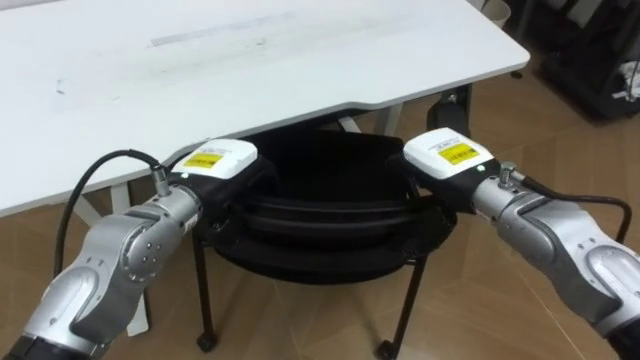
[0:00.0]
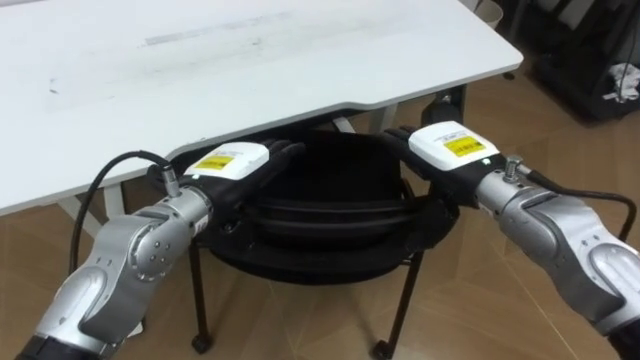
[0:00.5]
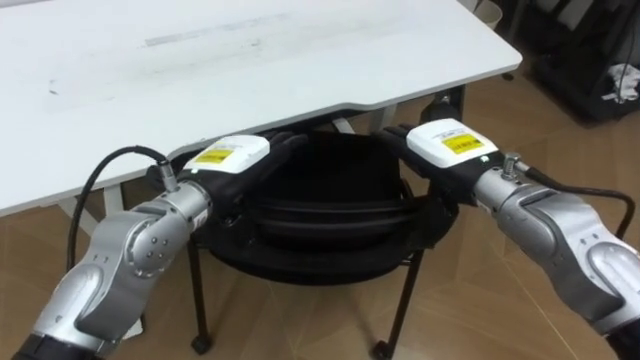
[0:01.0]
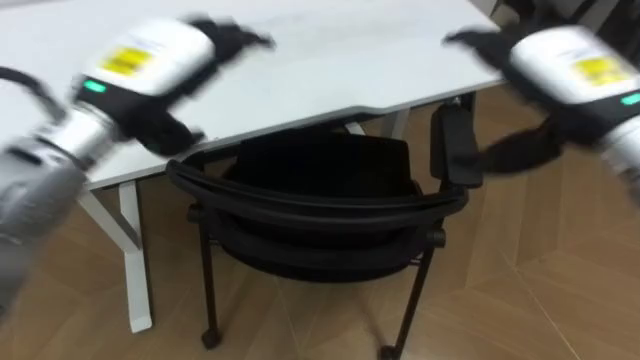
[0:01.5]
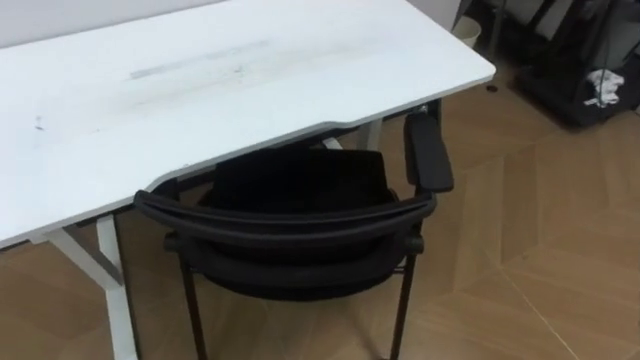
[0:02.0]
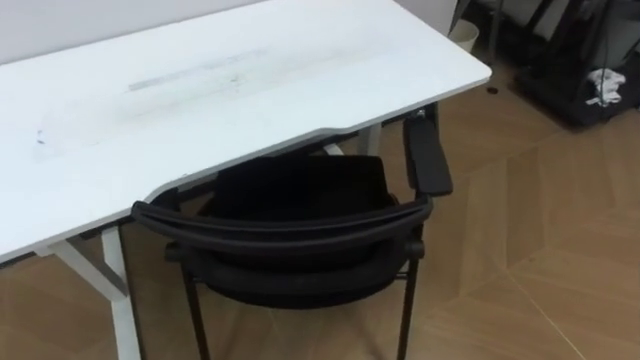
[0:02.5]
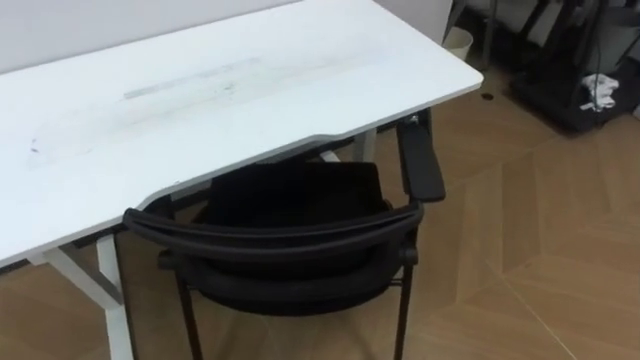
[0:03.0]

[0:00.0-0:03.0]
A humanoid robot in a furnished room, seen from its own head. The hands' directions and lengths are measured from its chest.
Task of the whole recording: Push the chair under the table.
0:00.0 to 0:01.5: The left hand travels upward by some 15 cm, and opens up, while the right hand travels upward and to the right by approximately 15 cm, and opens its fingers.

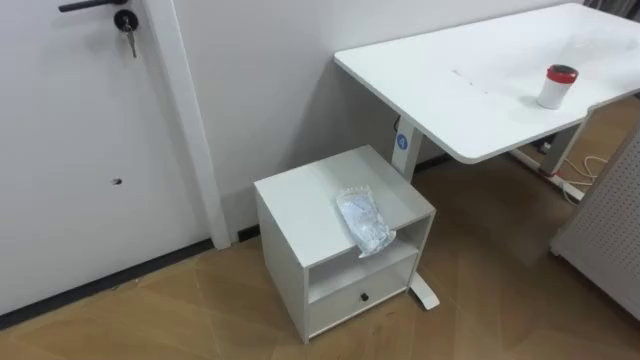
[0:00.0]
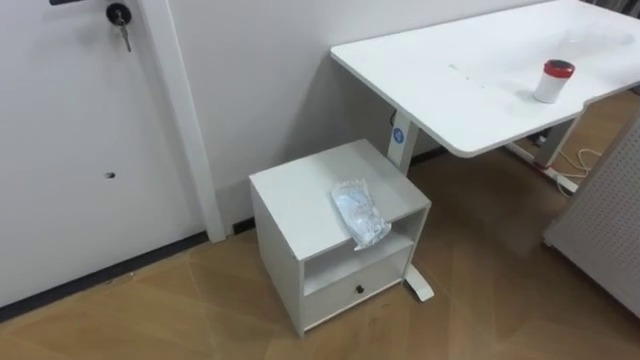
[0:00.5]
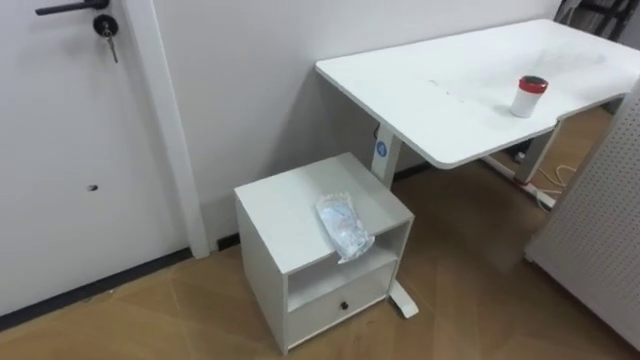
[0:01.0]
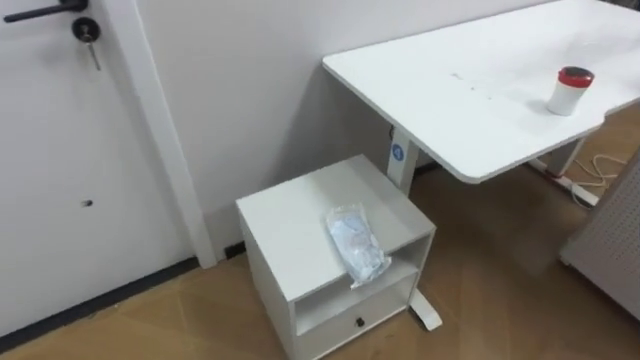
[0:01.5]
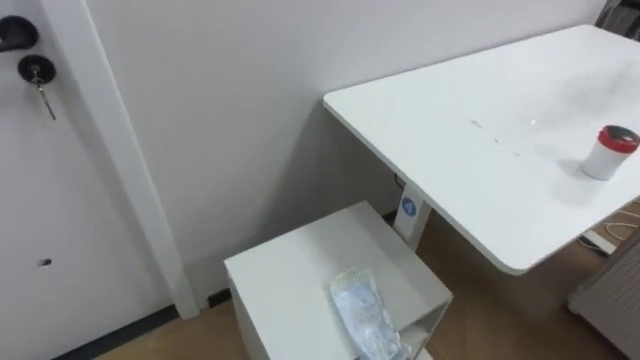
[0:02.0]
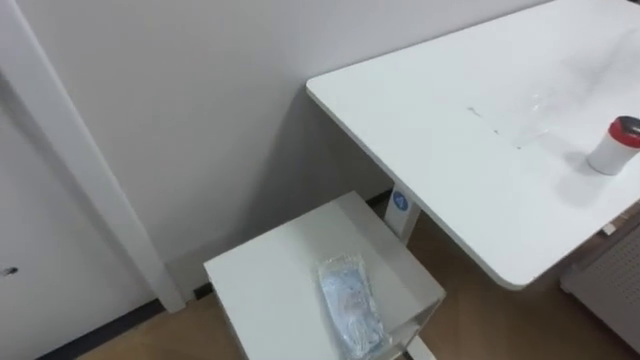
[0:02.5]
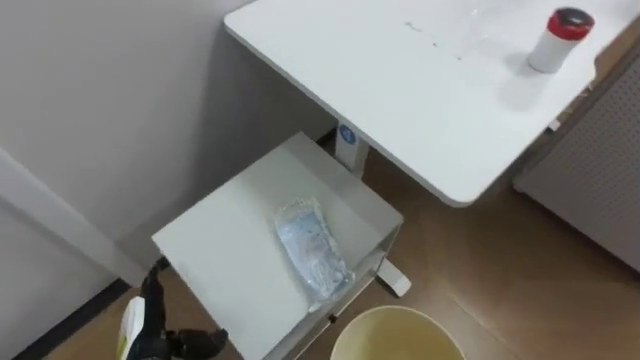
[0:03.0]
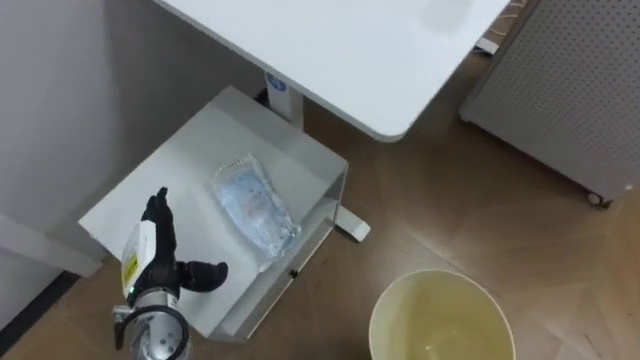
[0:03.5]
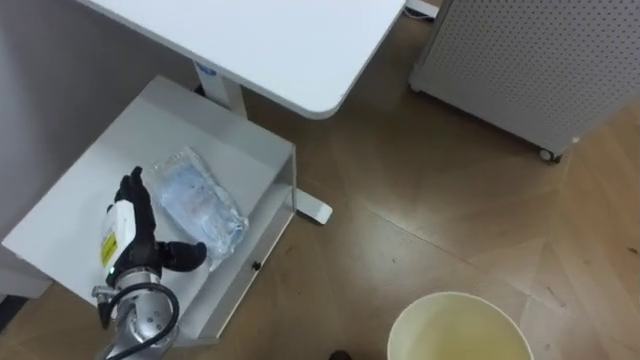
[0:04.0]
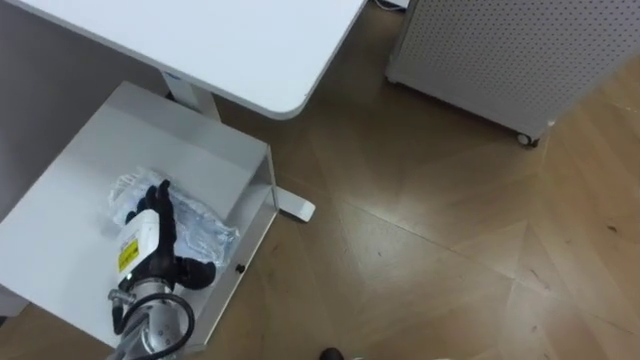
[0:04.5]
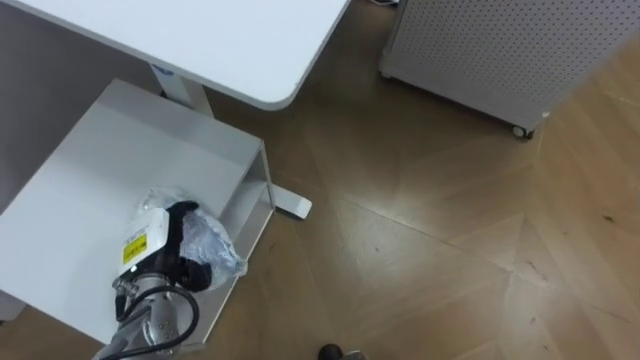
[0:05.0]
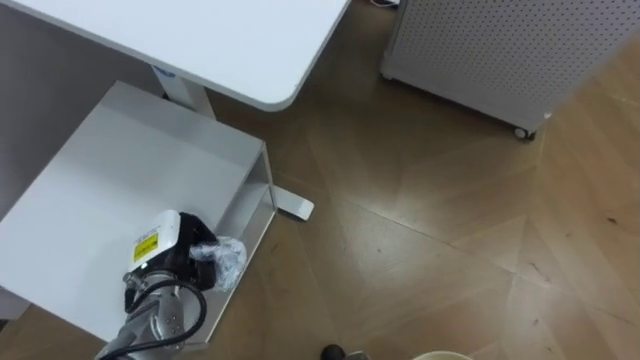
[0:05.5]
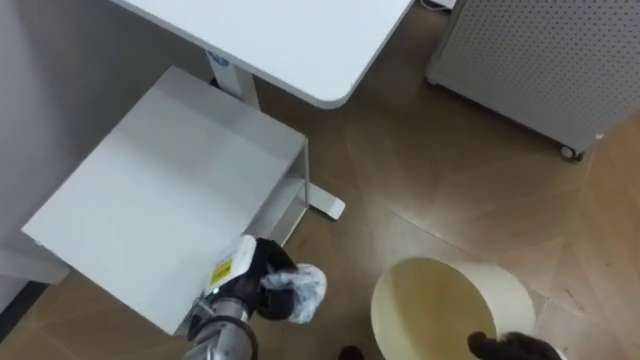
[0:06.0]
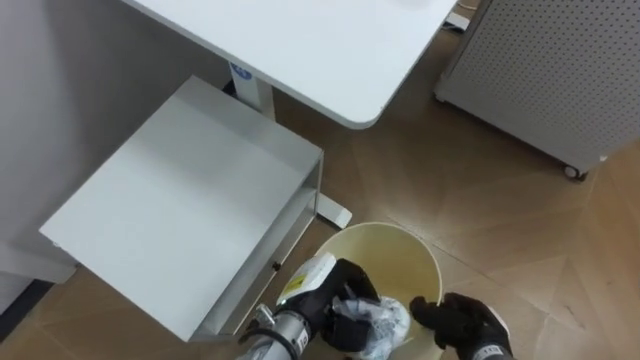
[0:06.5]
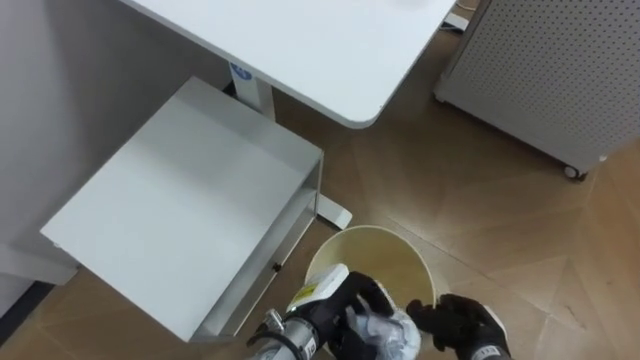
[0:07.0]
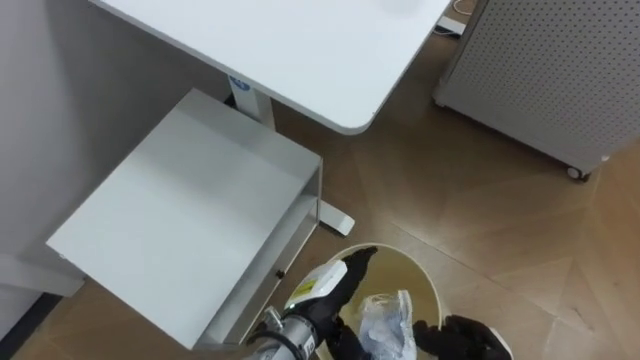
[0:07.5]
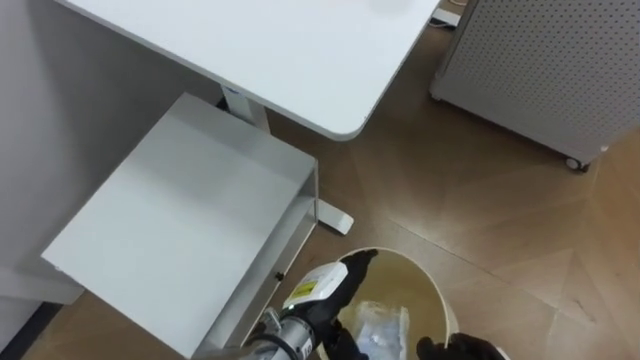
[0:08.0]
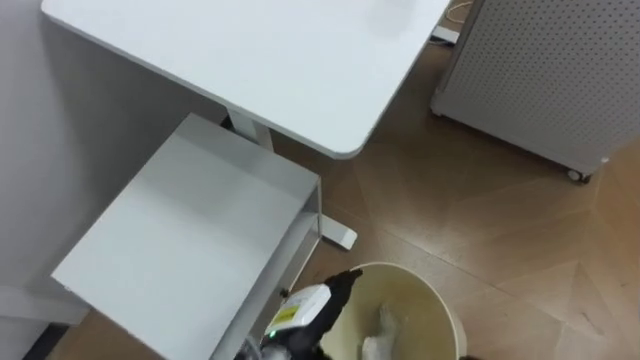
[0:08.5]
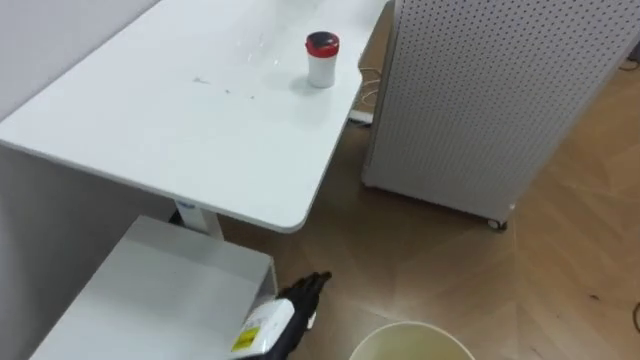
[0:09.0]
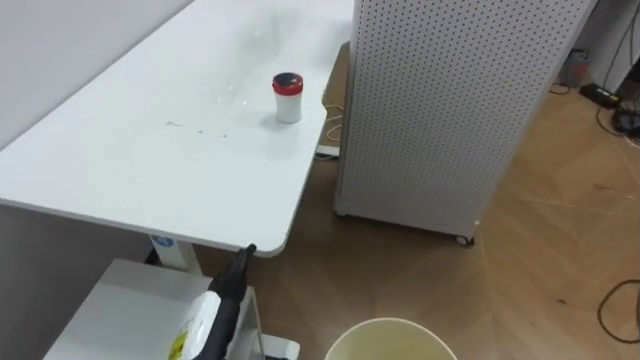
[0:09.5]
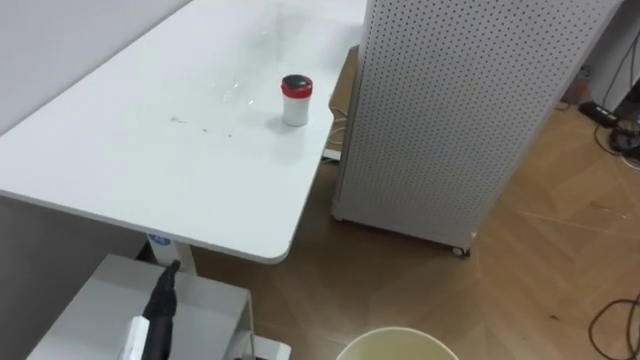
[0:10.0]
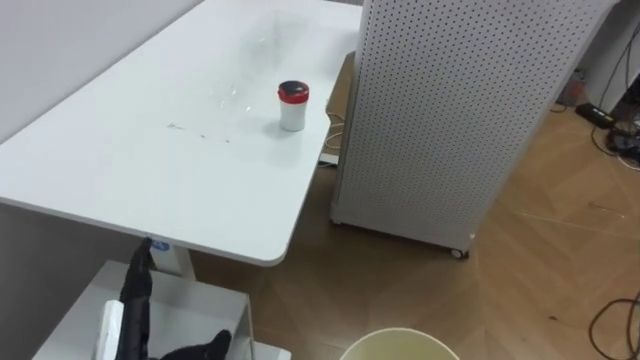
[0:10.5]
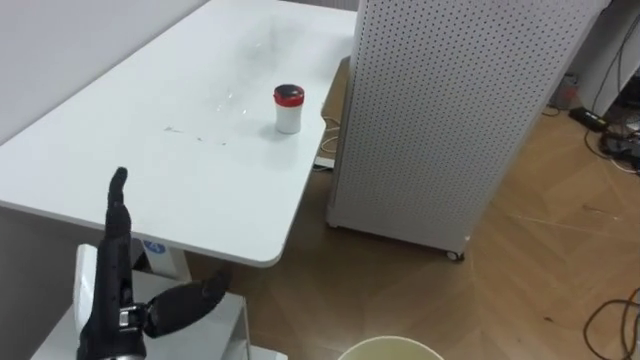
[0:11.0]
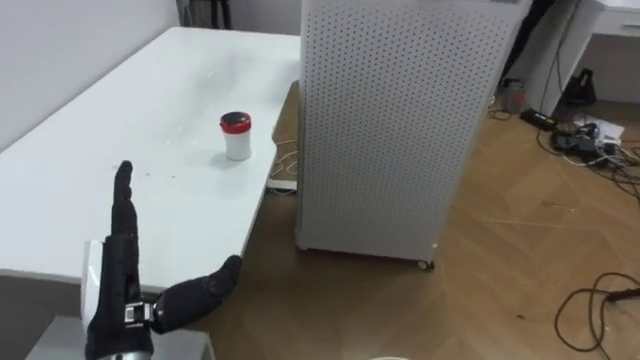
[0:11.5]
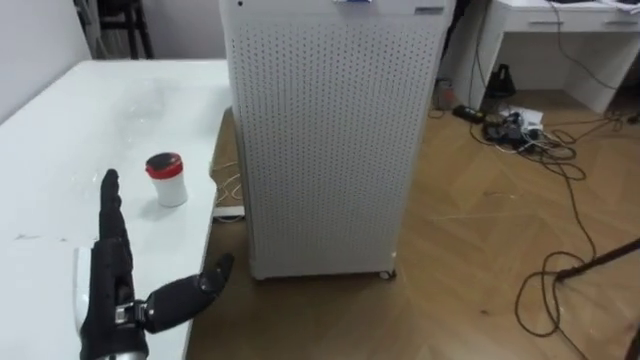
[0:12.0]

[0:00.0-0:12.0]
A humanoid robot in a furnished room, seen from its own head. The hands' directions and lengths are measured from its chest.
Task of the whole recording: Pick up the light blue package, the candy box, and the dark blue package separately, and put them into the trash can held in your right hand.
0:04.0 to 0:06.0: The left hand heads to the right, covering some 15 cm, and closes up.
0:06.0 to 0:08.0: The left hand moves to the right, roughly 10 cm, and opens.
0:10.0 to 0:12.0: The robot faces some 20 degrees further to its right.

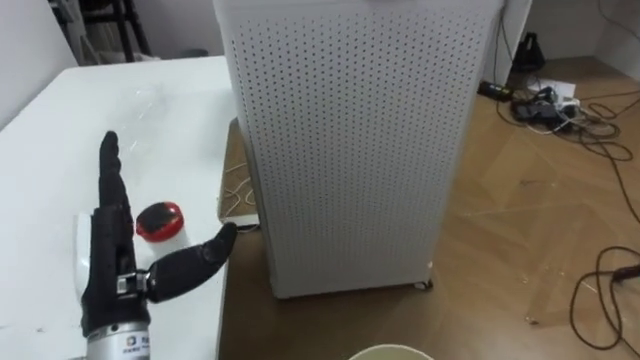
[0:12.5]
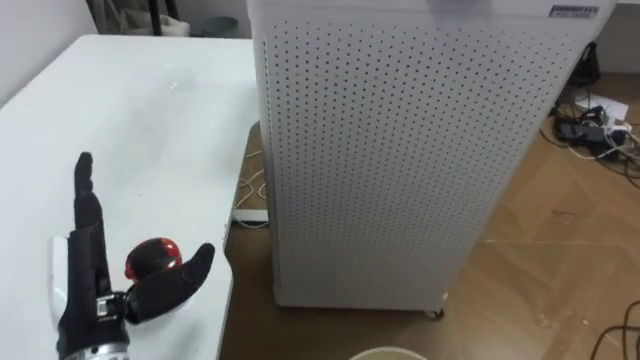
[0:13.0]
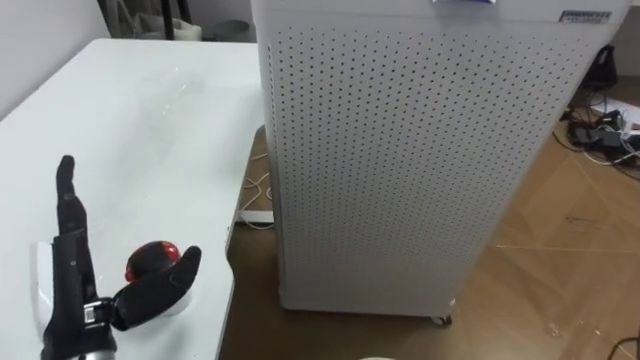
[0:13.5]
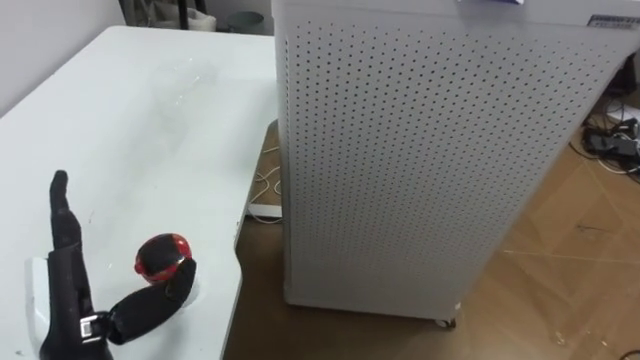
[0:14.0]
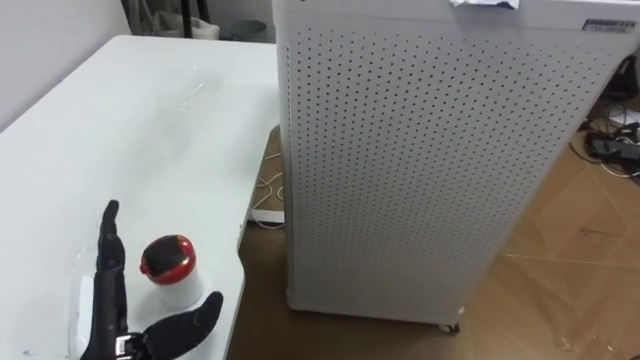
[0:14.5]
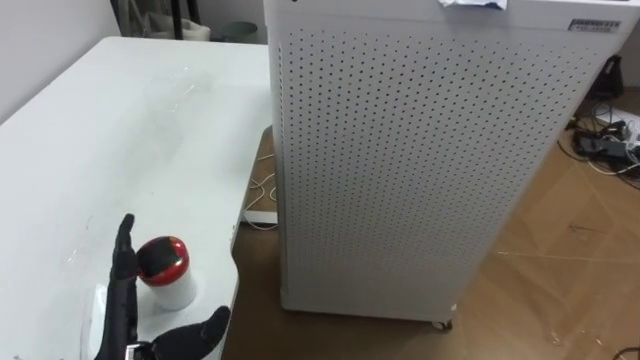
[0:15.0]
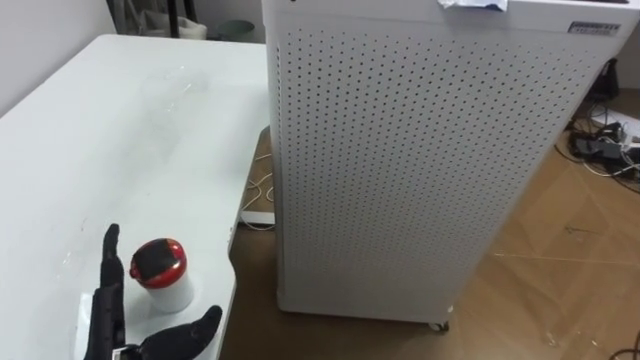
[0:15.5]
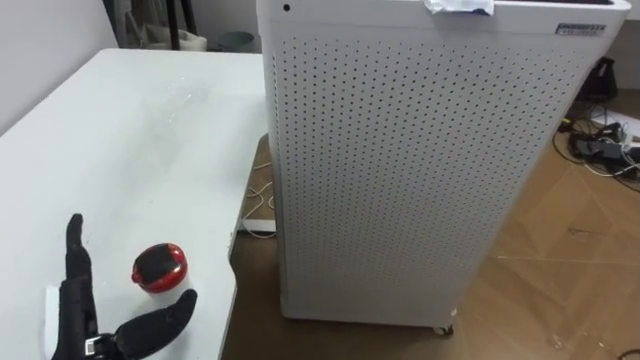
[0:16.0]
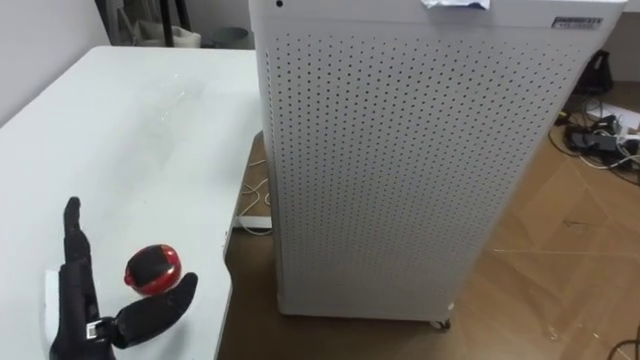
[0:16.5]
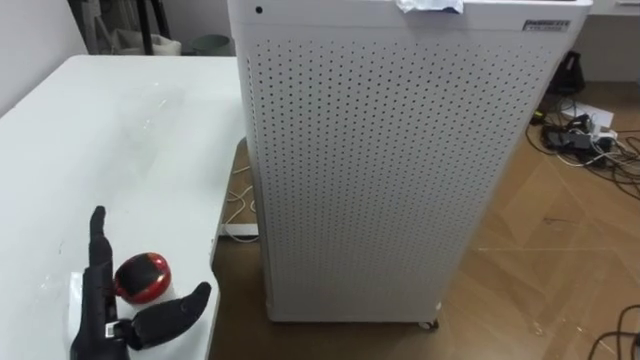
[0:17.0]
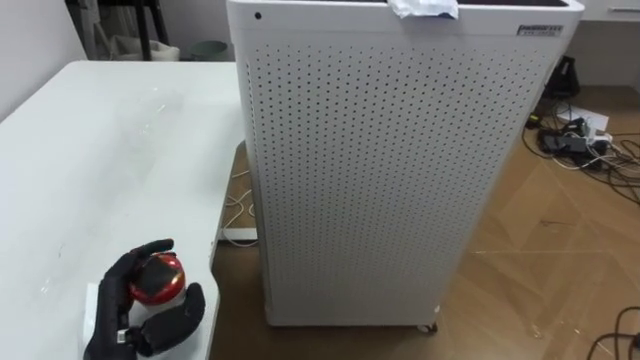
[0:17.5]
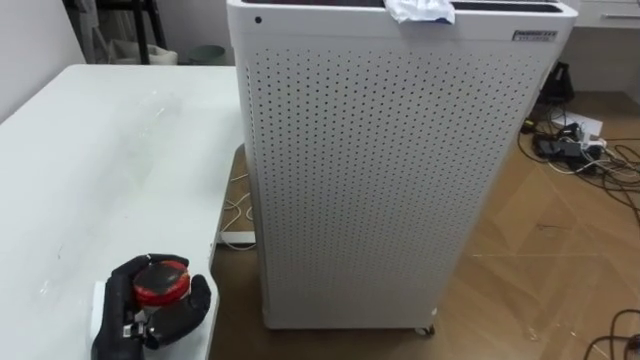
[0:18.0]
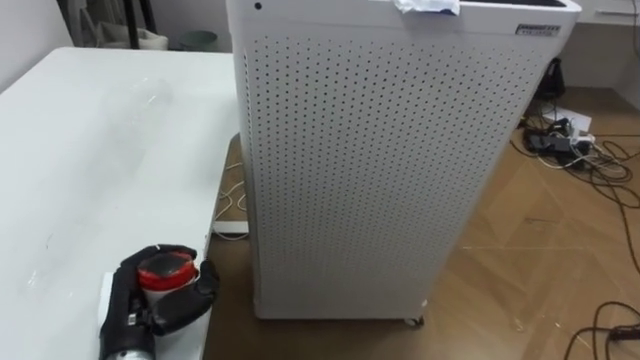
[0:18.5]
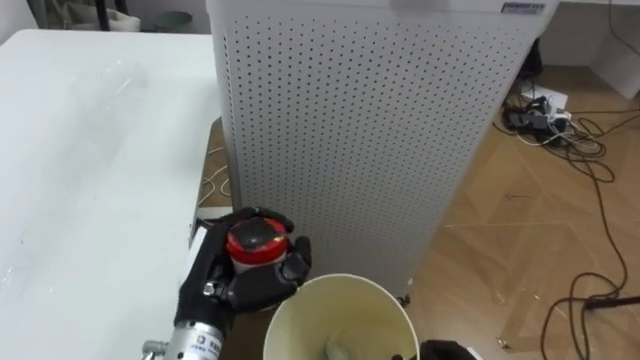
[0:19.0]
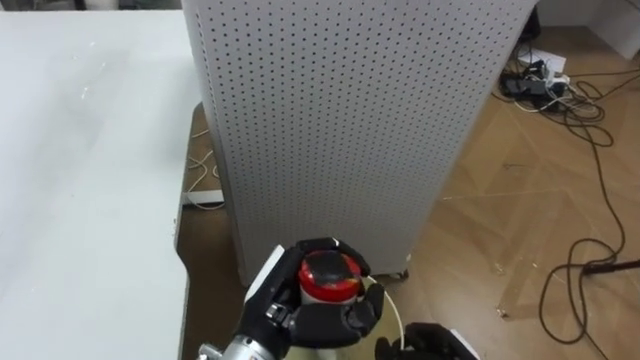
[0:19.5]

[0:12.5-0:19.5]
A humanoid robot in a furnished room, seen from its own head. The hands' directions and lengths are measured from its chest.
Task of the whole recording: Pick up the light blue package, the candy box, and the dark blue package separately, and put them into the trash can held in your right hand.
0:12.5 to 0:14.5: The left hand is displaced downward by about 5 cm.
0:16.0 to 0:17.5: The left hand closes up.
0:17.5 to 0:19.5: The left hand moves to the right, about 20 cm, and closes.
